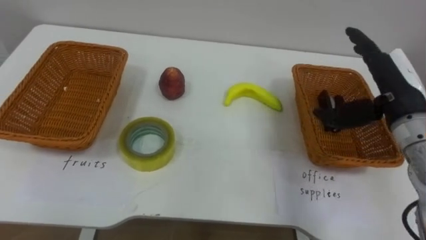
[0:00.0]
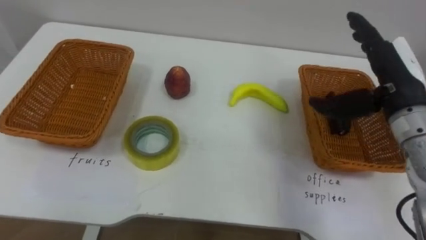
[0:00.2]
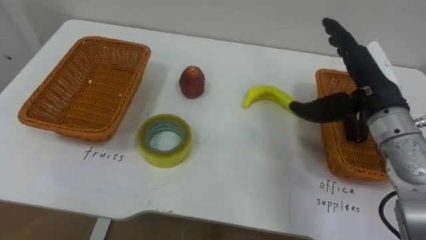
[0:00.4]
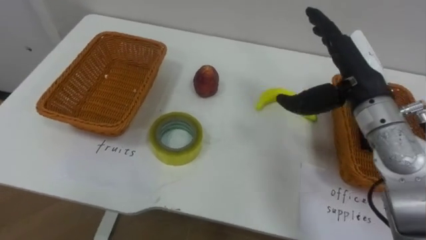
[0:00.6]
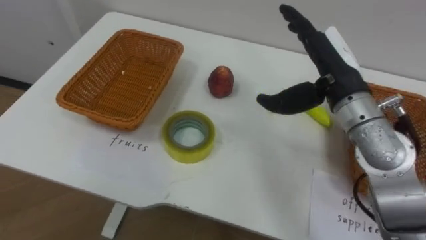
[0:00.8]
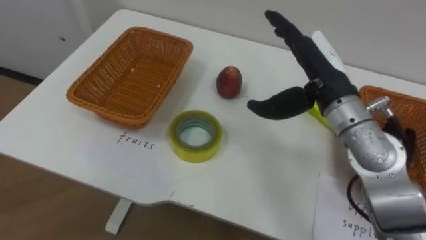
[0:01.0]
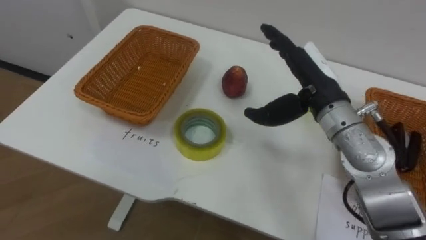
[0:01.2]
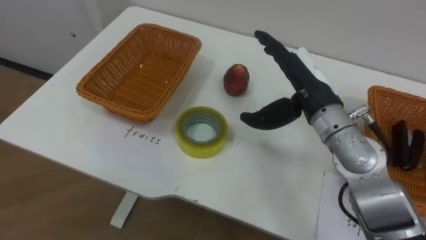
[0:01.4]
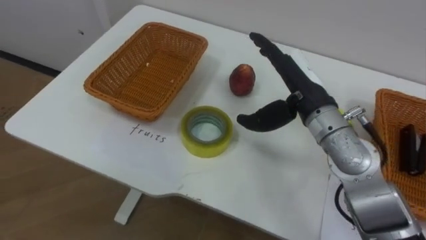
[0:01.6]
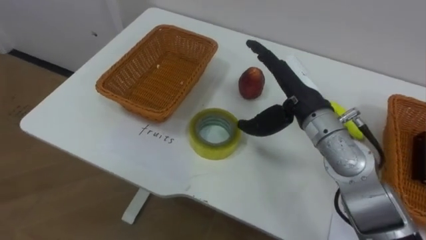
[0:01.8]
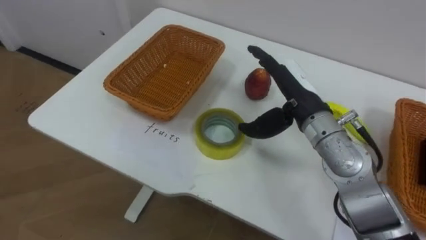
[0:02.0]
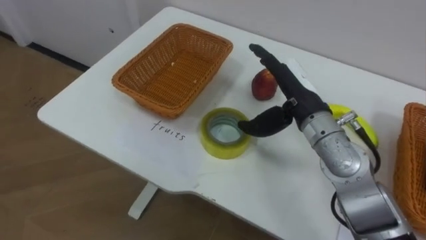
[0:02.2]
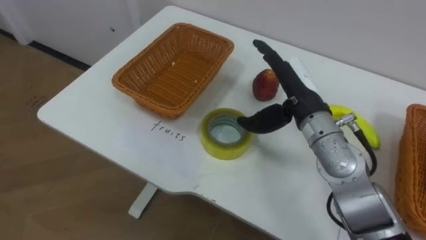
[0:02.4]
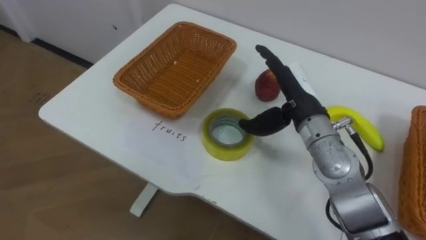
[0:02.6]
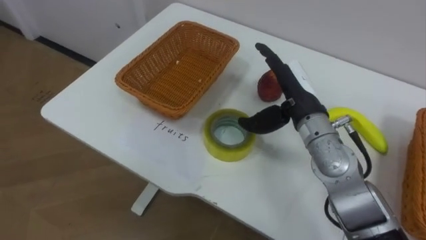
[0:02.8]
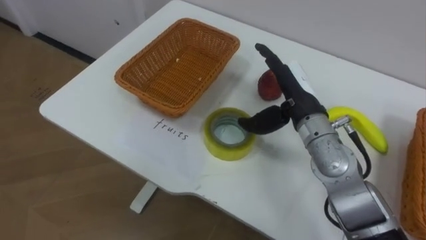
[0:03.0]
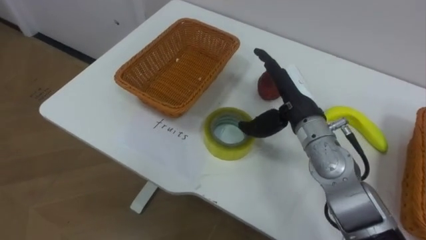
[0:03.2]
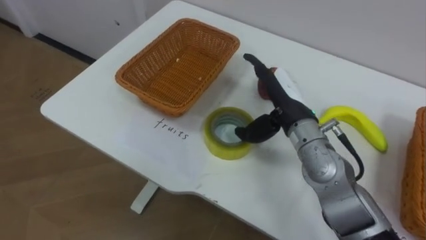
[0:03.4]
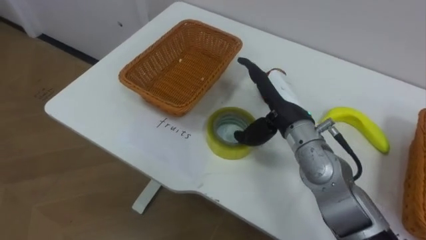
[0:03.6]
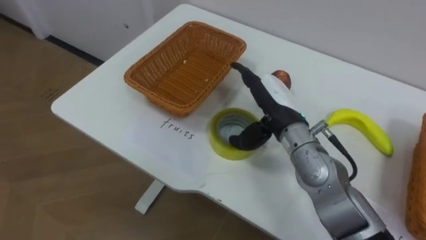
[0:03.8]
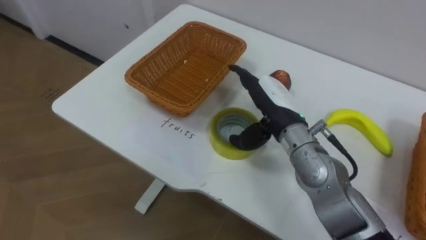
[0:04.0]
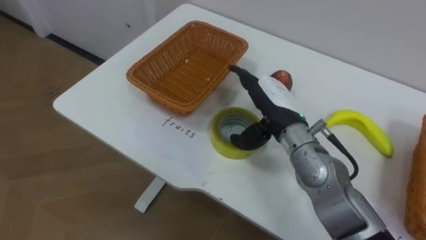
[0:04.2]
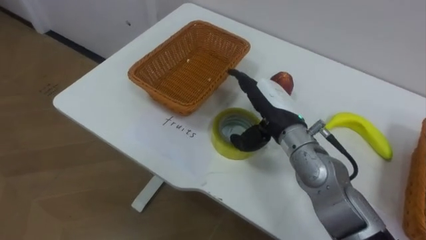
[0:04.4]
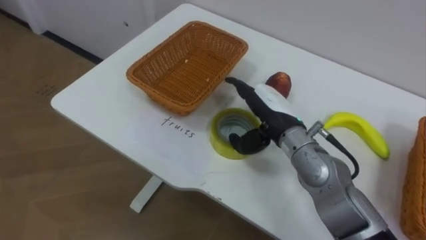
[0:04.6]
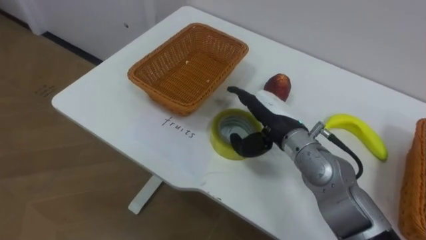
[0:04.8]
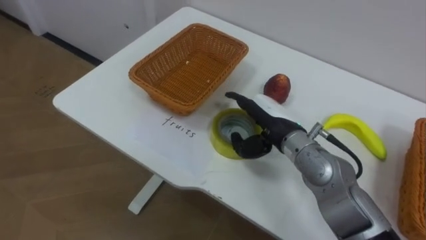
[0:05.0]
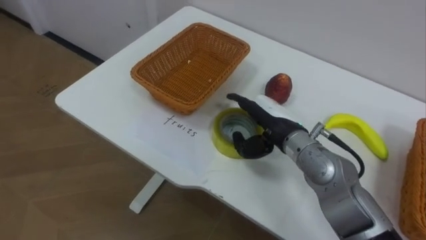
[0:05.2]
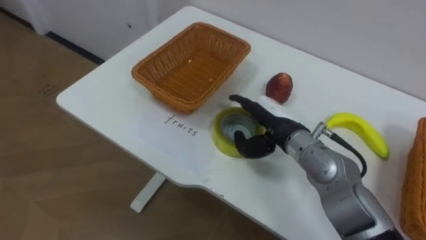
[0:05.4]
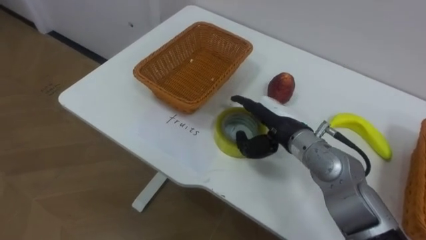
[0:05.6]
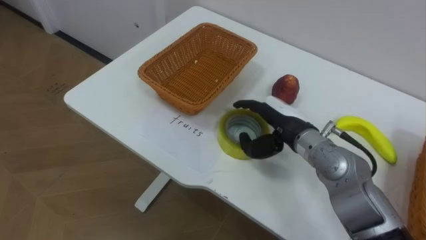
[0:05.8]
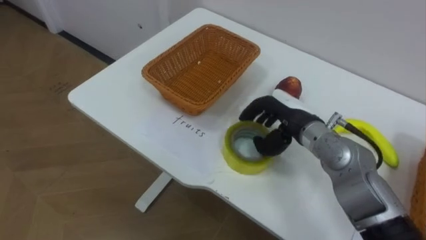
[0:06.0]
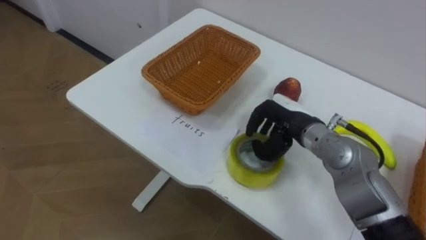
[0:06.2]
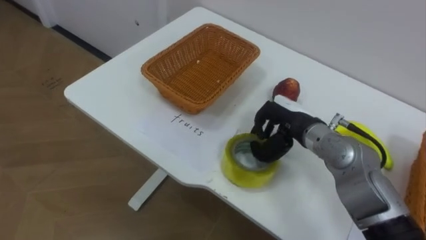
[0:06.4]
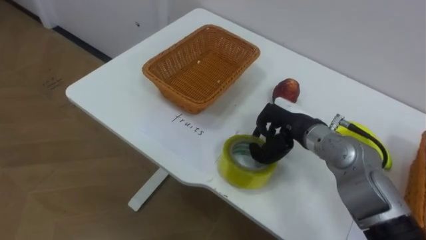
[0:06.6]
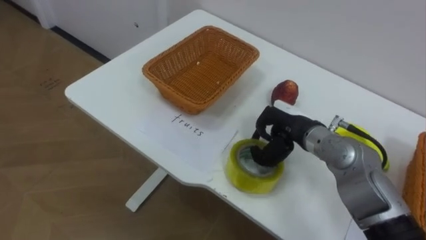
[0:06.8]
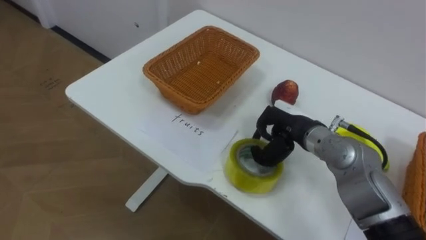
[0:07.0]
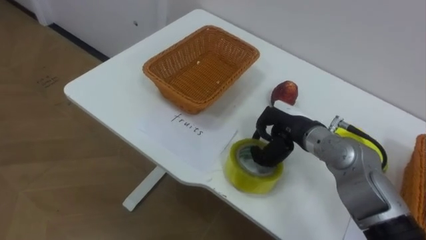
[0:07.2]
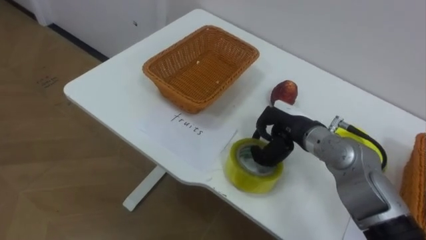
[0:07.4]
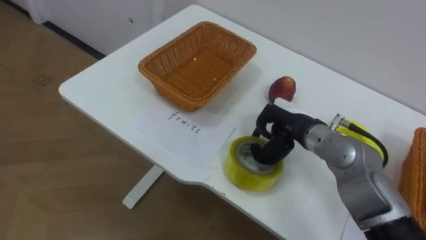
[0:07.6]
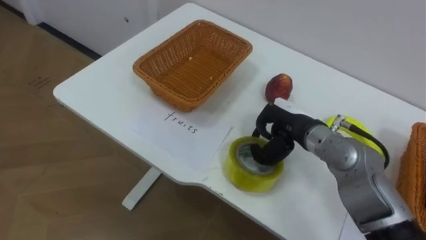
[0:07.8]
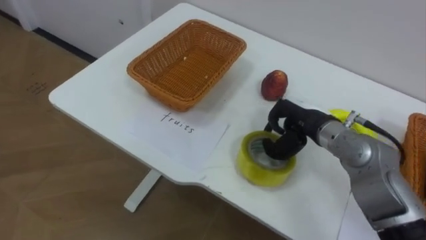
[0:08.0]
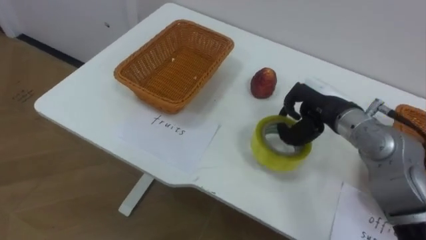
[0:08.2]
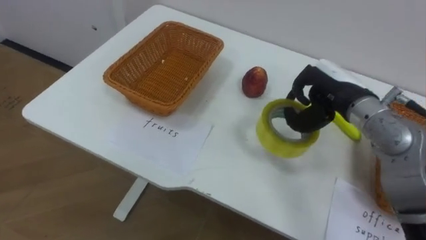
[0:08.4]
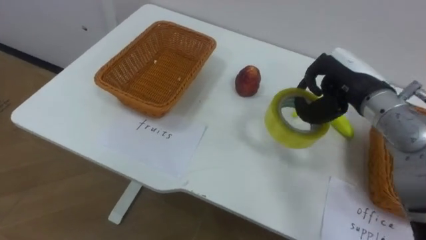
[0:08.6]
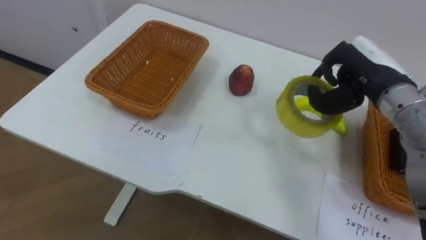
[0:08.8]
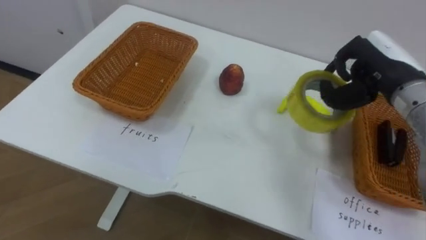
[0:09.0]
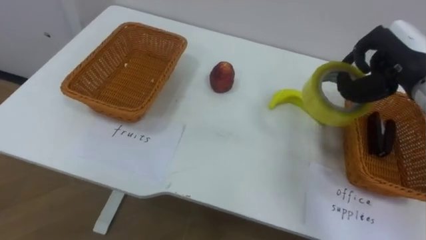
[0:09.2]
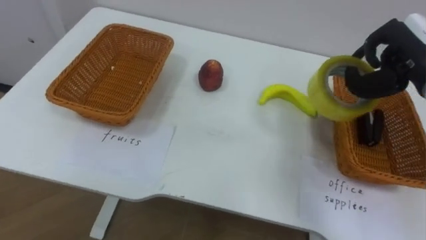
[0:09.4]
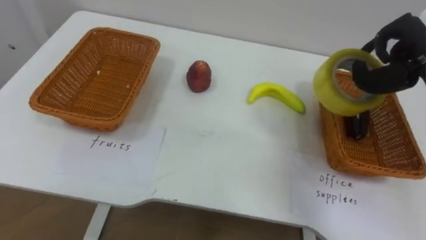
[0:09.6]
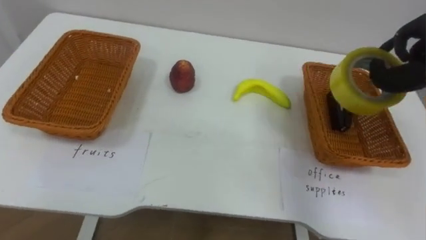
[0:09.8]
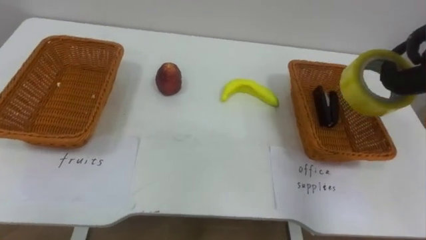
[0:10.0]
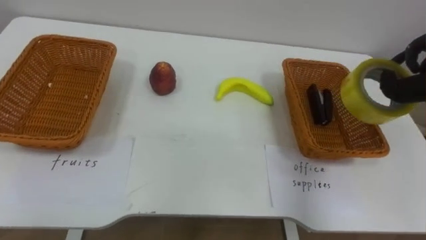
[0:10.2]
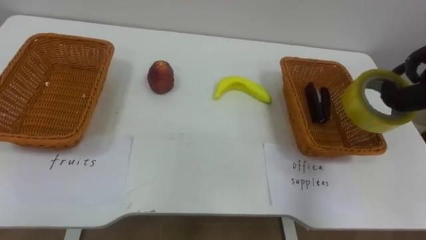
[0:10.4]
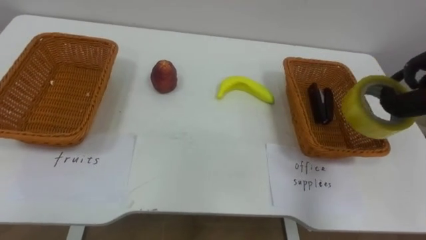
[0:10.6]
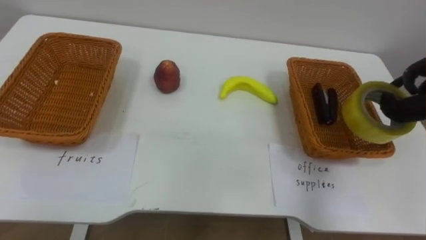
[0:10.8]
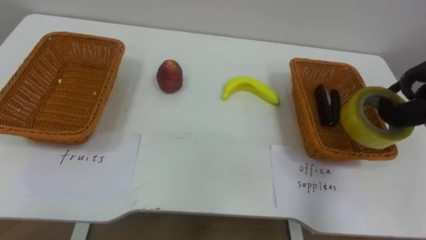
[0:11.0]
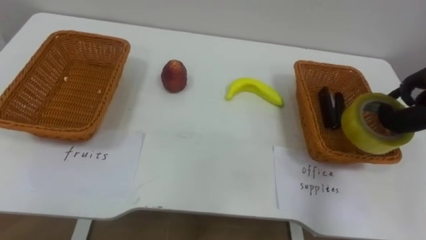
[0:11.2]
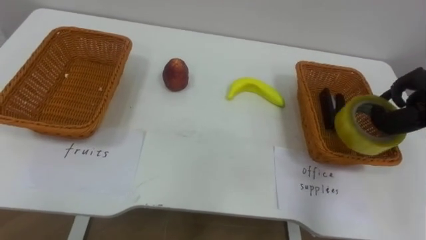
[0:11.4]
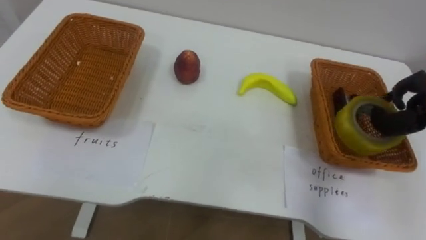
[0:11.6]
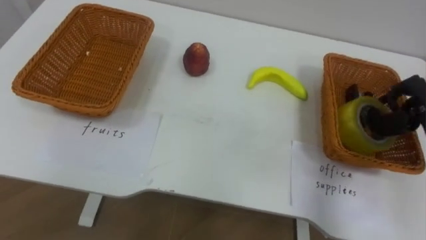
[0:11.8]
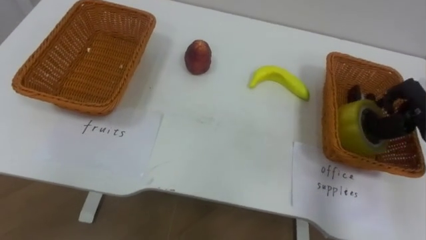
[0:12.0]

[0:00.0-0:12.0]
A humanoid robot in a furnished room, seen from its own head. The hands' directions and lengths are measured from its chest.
Task of the whole recording: Separate the items on the table and place them into the two baskets.
0:00.0 to 0:01.6: The right hand shifts roughly 15 cm to the left.
0:04.4 to 0:06.0: The right hand closes its fingers.
0:06.0 to 0:07.6: The right hand closes up.
0:07.6 to 0:09.0: The right hand is displaced upward and to the right by some 15 cm.

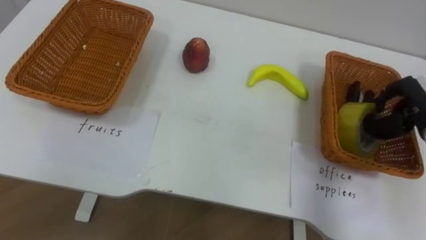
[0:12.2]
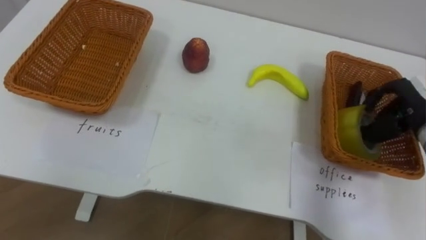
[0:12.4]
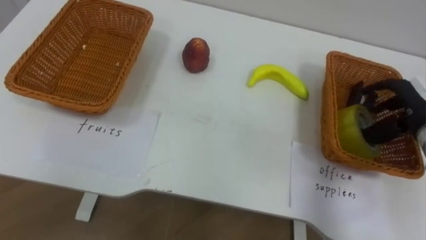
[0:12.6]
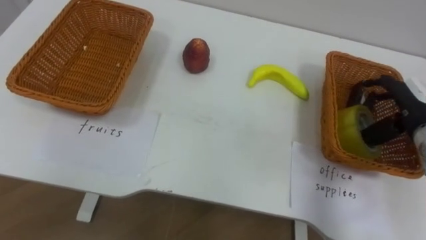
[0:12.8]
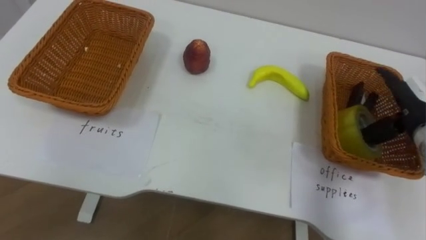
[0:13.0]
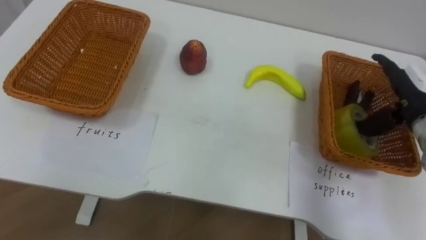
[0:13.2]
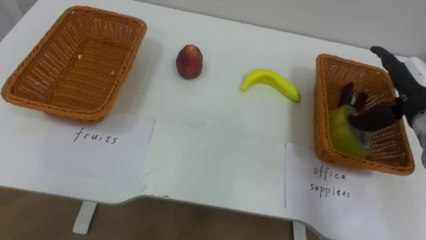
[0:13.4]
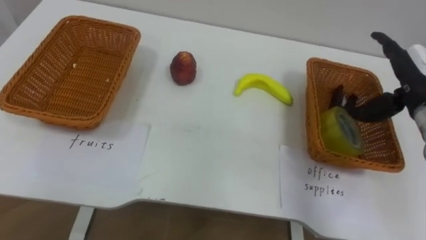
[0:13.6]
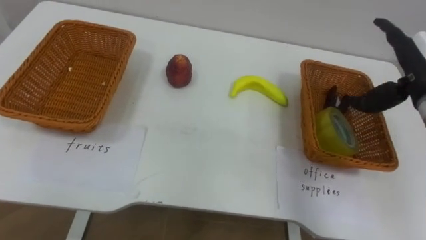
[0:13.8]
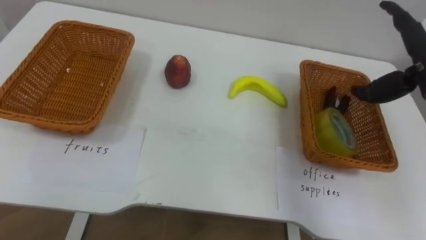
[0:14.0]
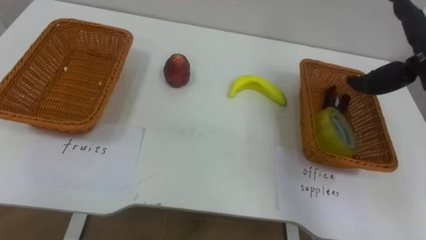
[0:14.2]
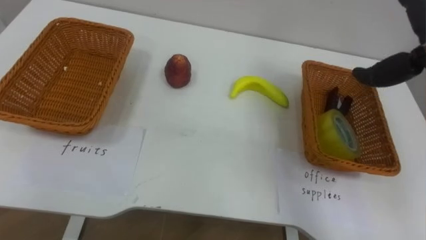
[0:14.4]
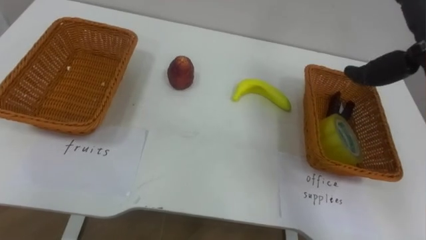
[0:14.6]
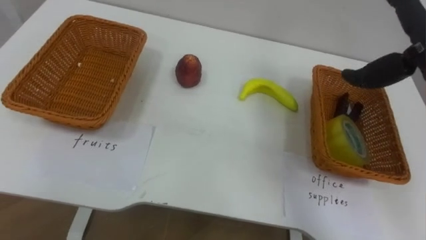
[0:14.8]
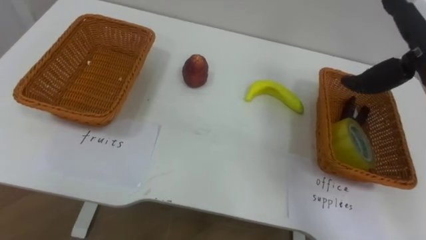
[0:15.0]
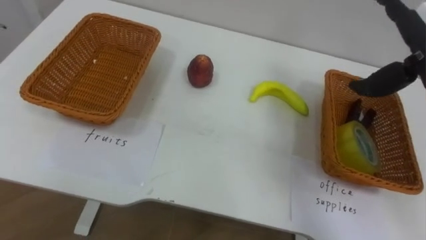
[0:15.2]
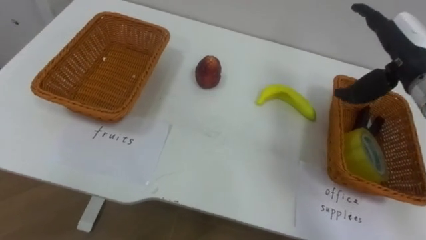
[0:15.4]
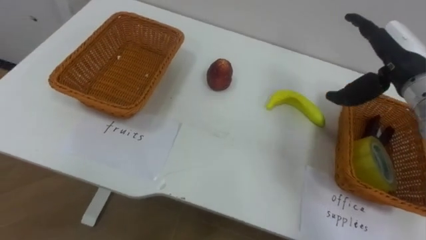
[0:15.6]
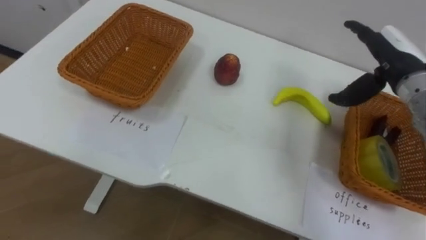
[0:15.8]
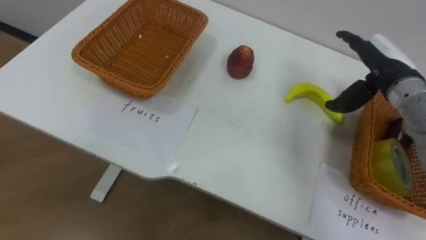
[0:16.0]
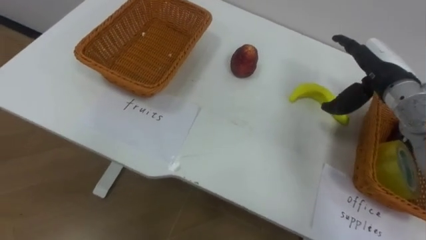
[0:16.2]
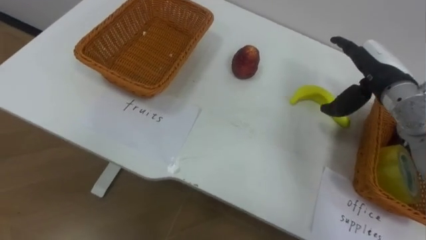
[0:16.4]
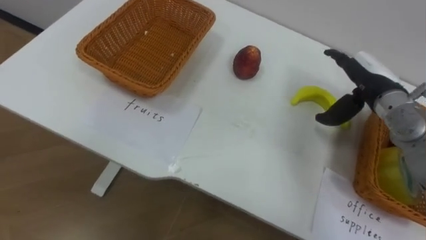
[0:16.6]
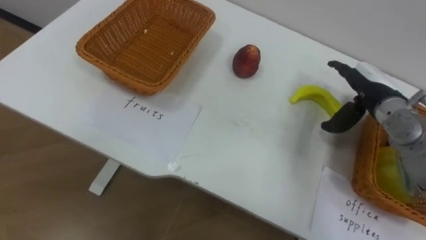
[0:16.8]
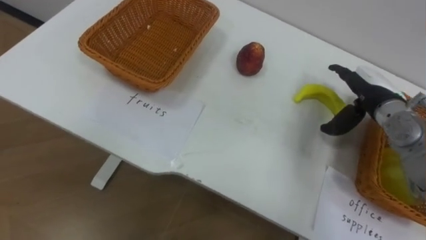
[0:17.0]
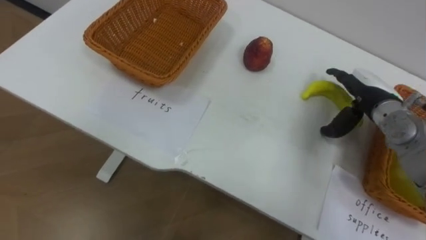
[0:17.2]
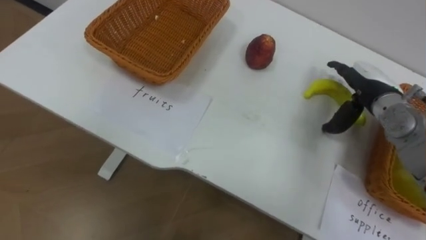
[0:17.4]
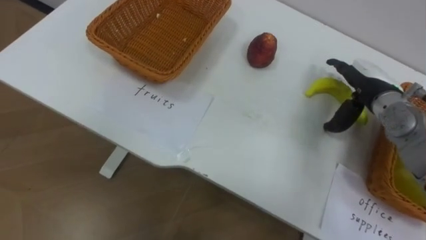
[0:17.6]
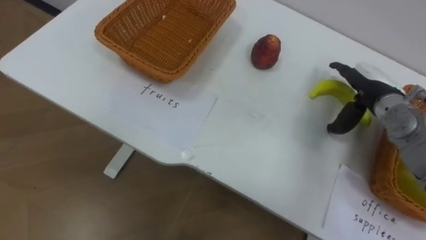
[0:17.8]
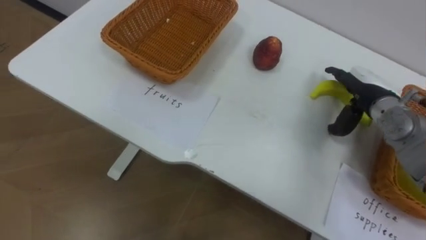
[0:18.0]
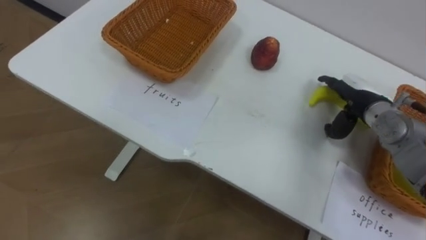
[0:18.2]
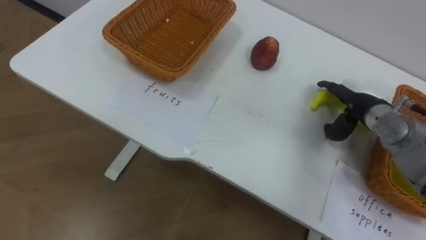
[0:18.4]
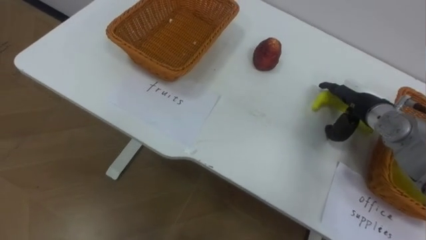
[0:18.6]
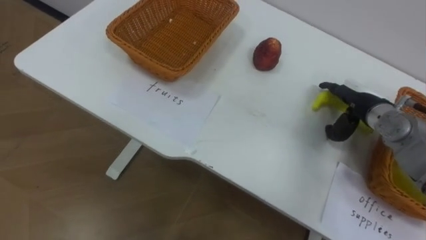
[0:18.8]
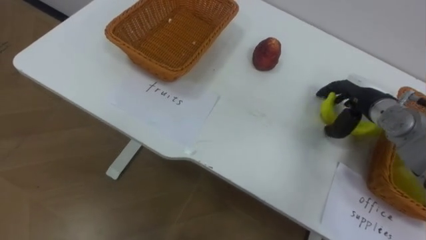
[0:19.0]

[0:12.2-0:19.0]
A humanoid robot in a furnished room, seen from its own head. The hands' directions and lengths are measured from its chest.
Task of the whole recording: Separate the items on the table and place them into the two baskets.
0:12.2 to 0:13.6: The right hand ends up roughly 5 cm from where it was, and opens up.
0:15.0 to 0:16.2: The right hand is displaced downward by roughly 10 cm.
